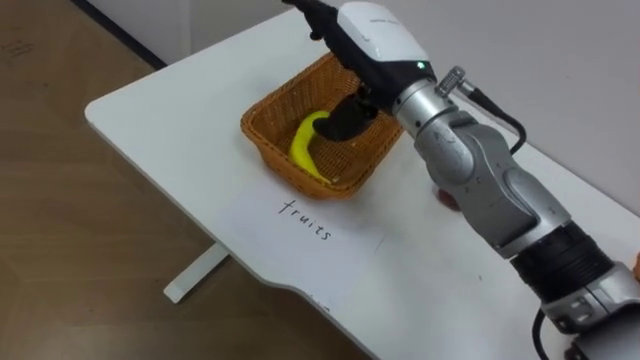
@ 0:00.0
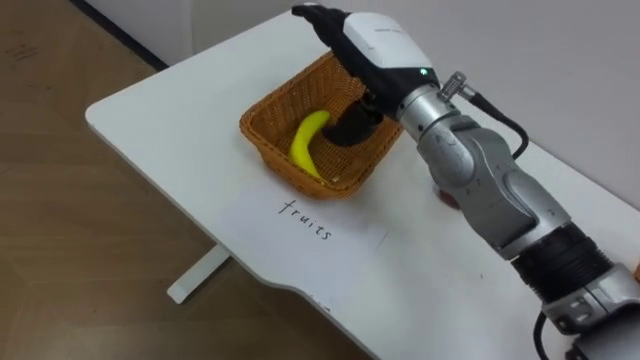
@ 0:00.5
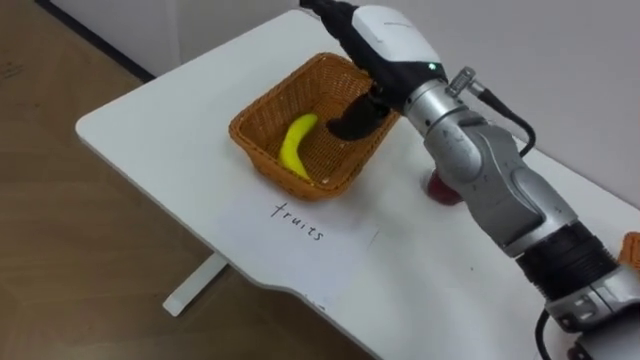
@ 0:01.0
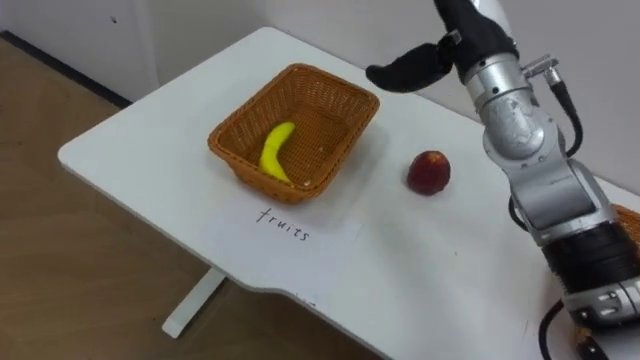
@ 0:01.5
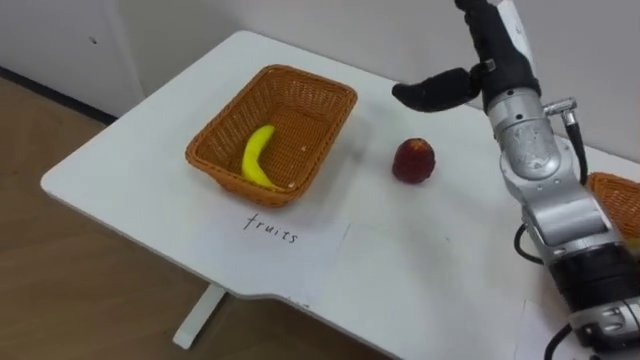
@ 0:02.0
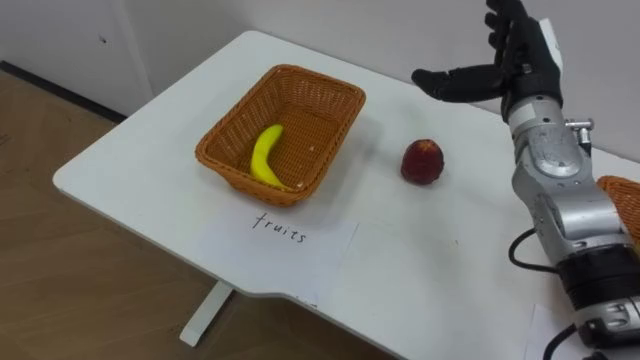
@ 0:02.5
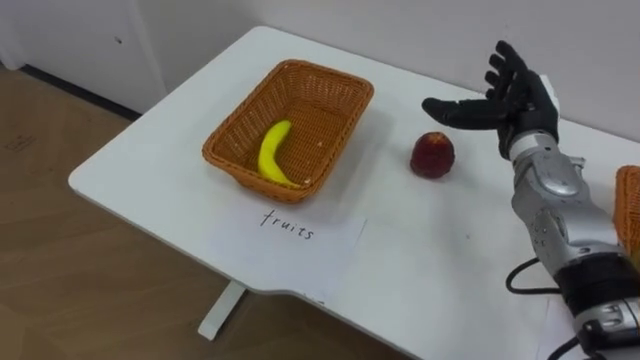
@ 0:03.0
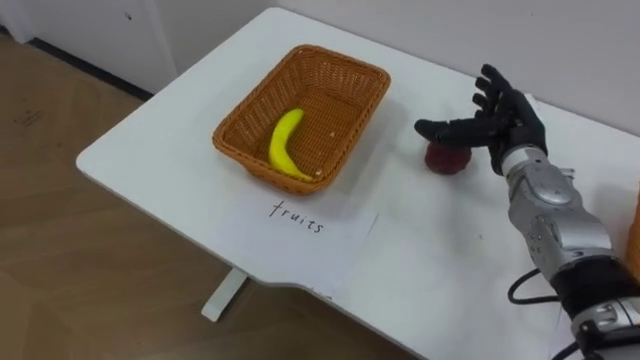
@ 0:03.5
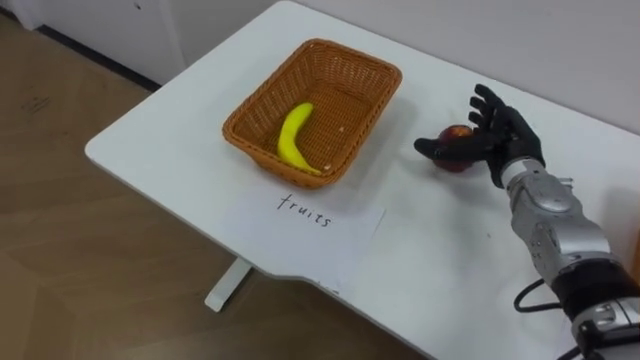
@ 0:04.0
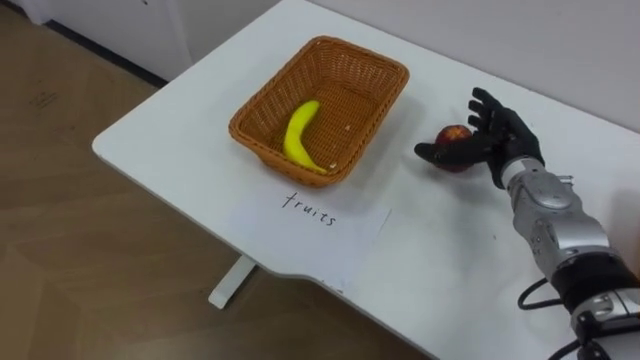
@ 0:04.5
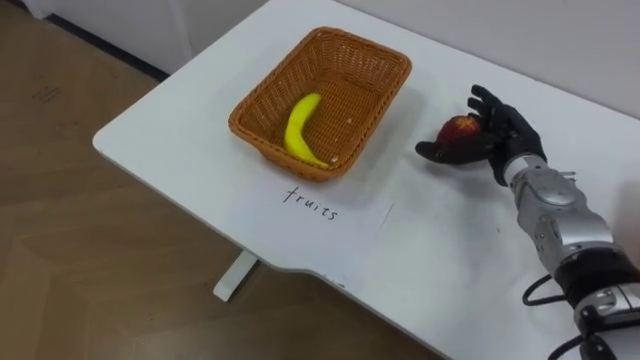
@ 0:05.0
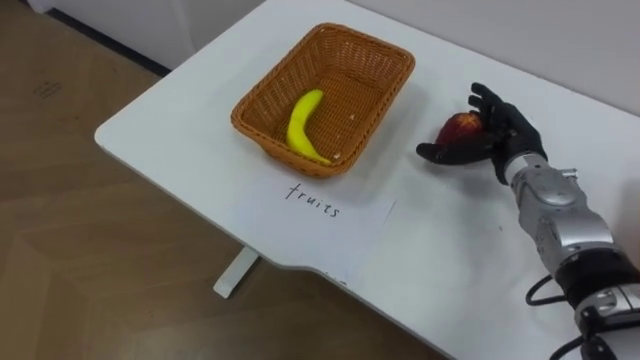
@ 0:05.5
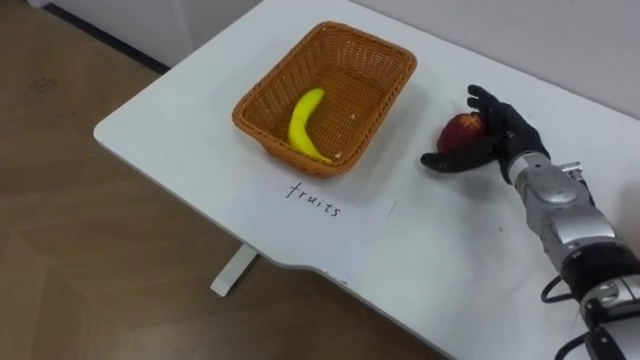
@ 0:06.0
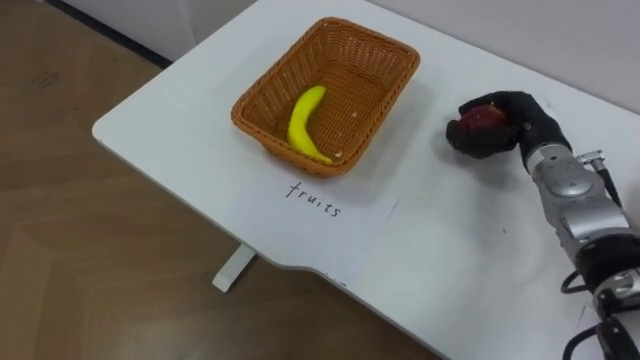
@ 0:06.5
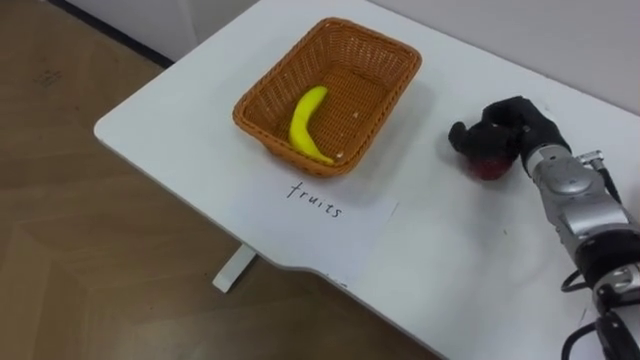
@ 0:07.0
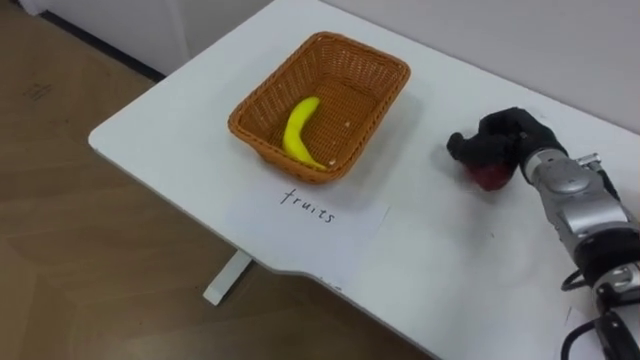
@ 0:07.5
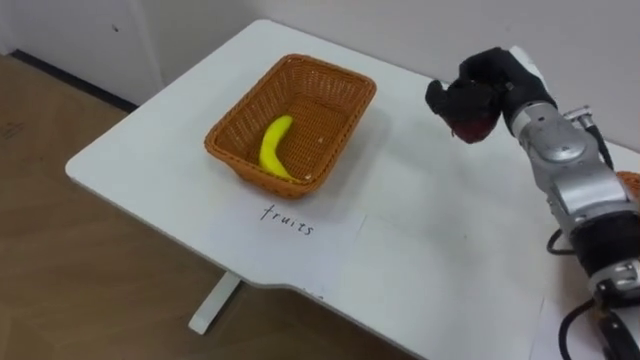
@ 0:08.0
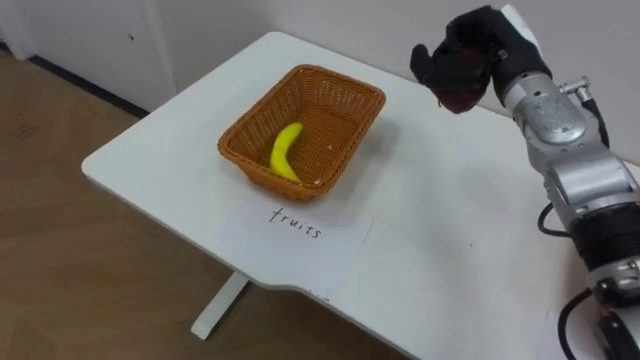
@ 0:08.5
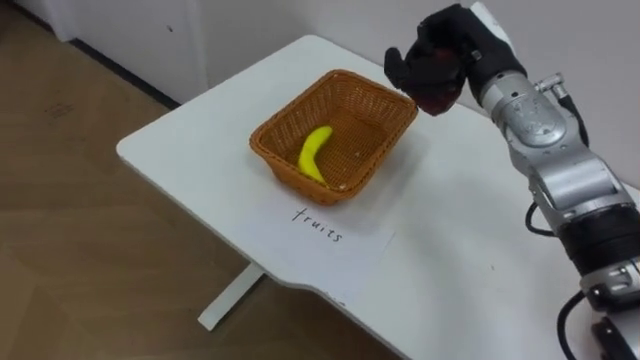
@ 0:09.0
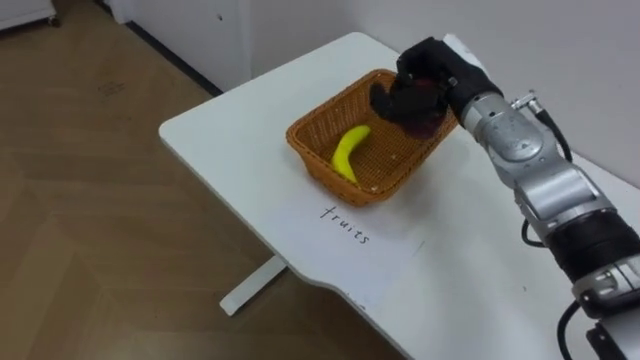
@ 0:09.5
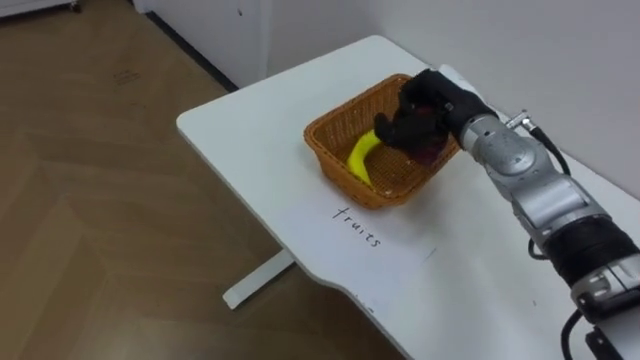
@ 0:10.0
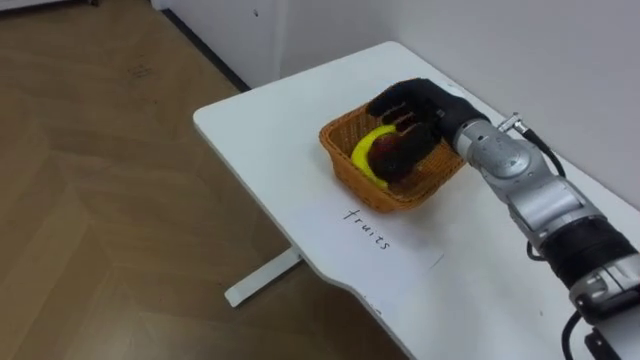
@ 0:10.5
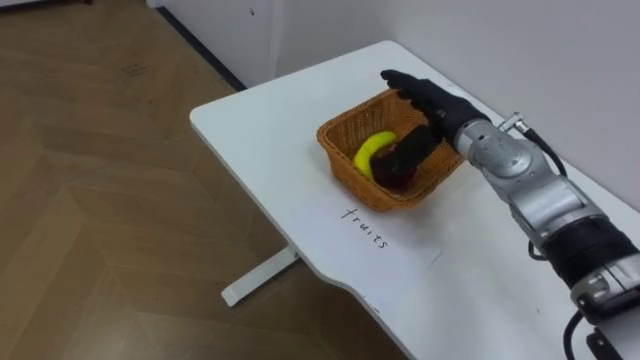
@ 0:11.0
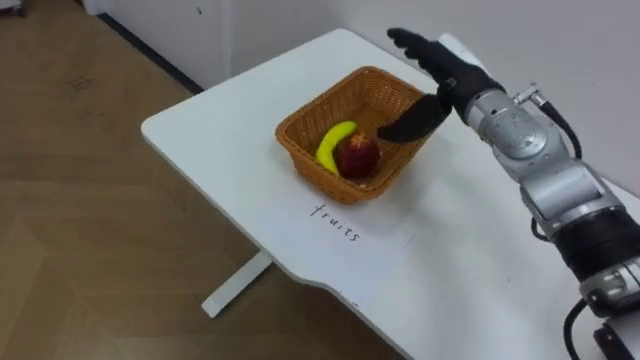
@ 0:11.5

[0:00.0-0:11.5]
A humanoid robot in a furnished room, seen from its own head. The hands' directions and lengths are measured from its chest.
Task of the whole recording: Separate the items on the table and place them into the two baskets.
0:00.0 to 0:02.0: The right hand travels to the right by approximately 15 cm.
0:02.0 to 0:04.0: The right hand is displaced downward and to the right by roughly 15 cm.
0:06.0 to 0:07.5: The right hand closes up.
0:07.5 to 0:09.5: The right hand moves to the left and upward, some 15 cm.
0:09.5 to 0:11.5: The right hand opens its fingers.

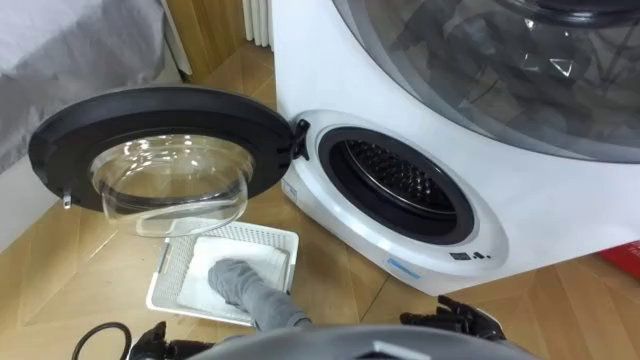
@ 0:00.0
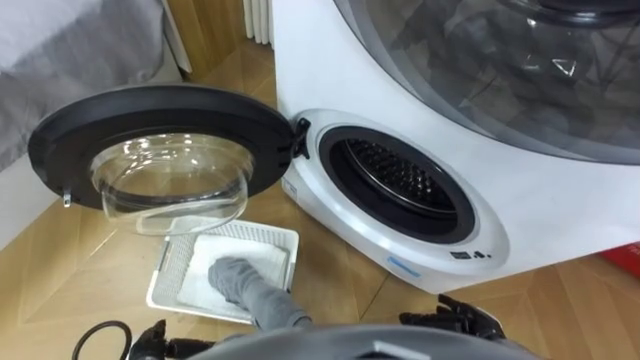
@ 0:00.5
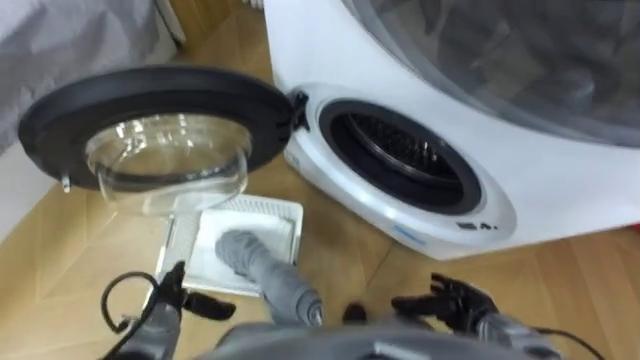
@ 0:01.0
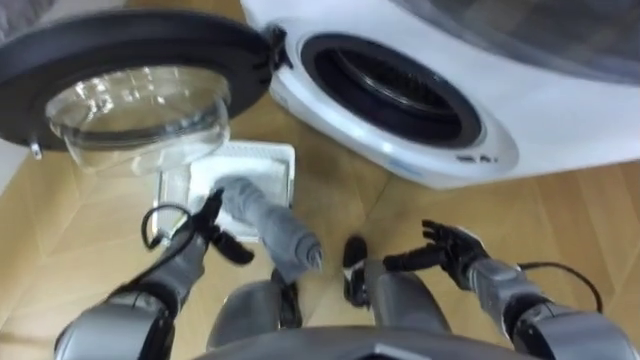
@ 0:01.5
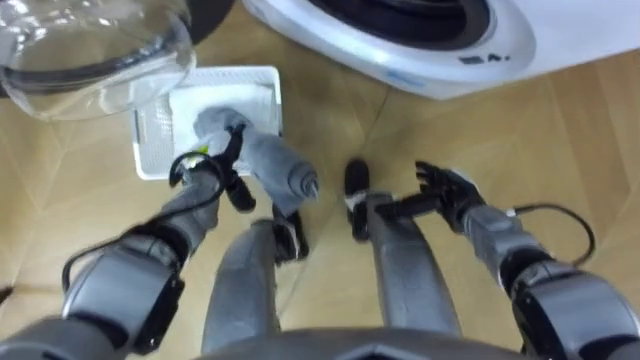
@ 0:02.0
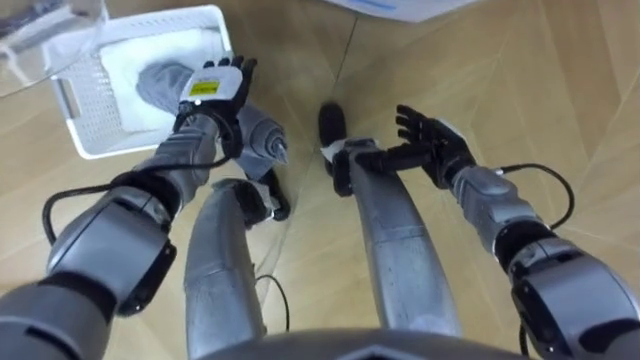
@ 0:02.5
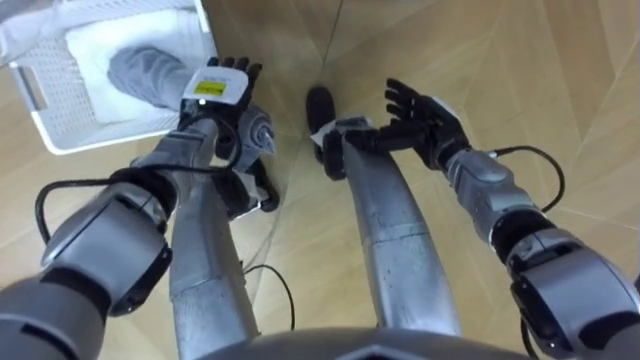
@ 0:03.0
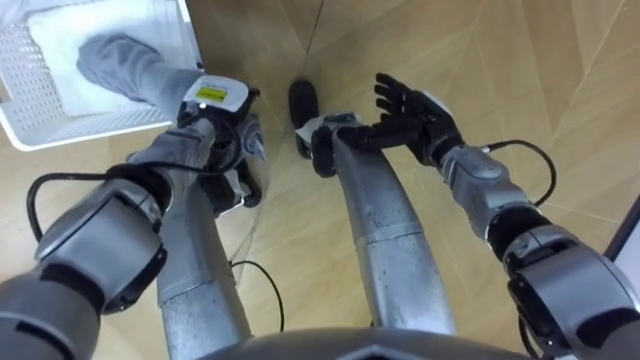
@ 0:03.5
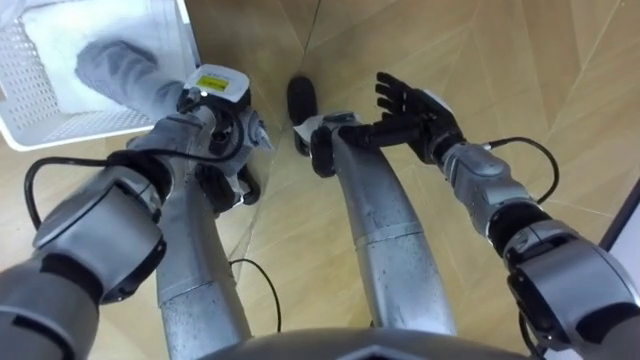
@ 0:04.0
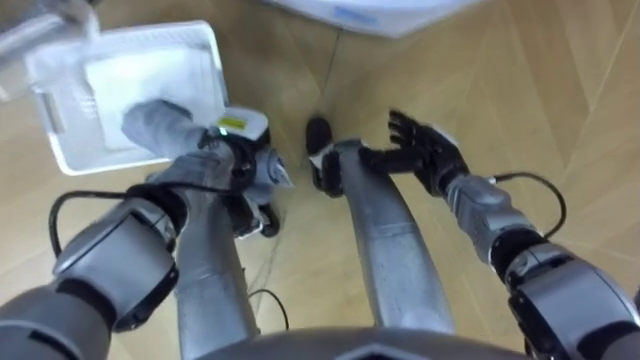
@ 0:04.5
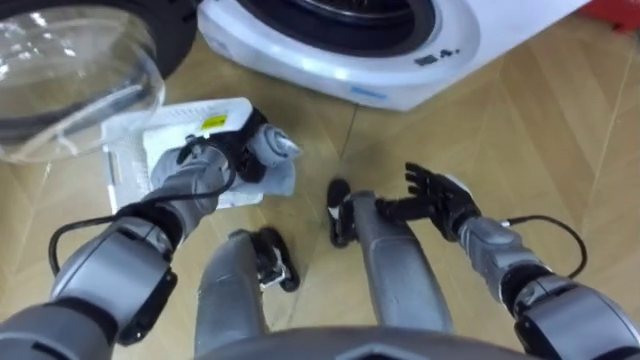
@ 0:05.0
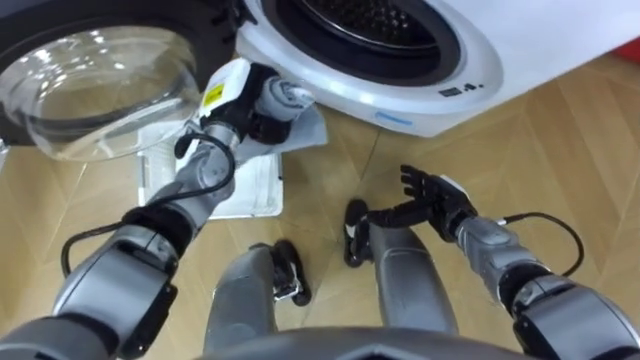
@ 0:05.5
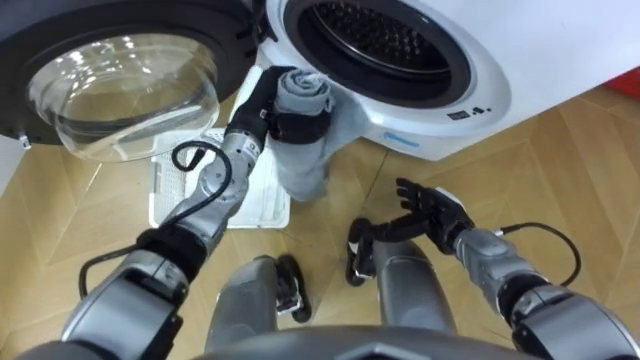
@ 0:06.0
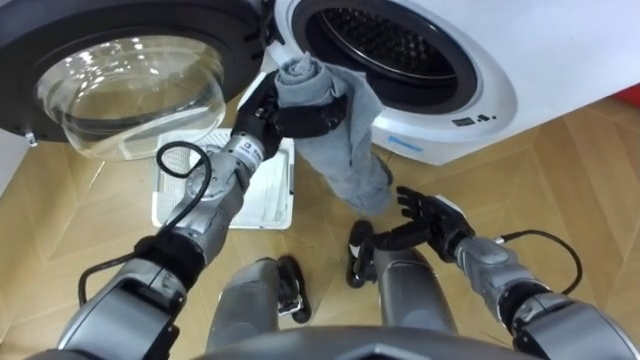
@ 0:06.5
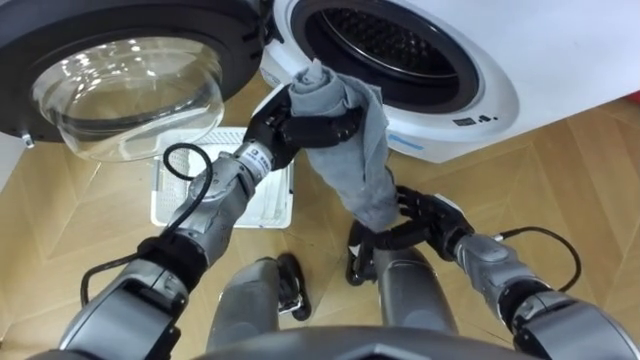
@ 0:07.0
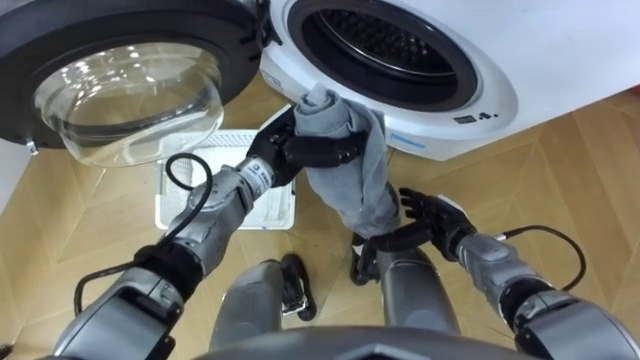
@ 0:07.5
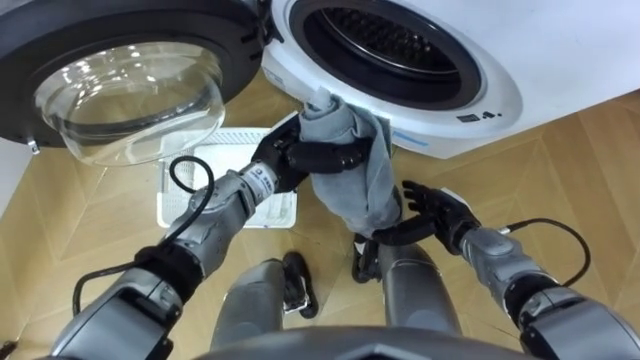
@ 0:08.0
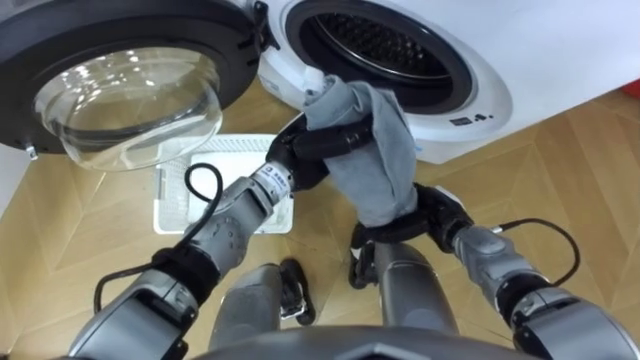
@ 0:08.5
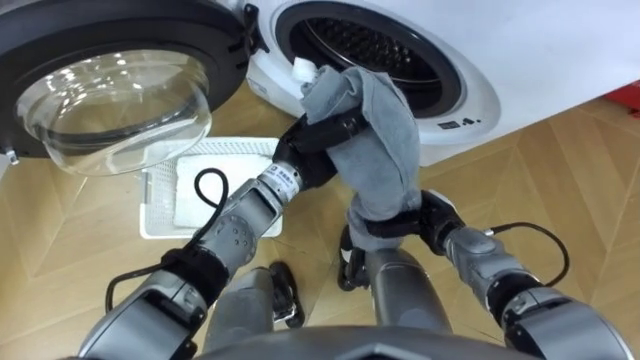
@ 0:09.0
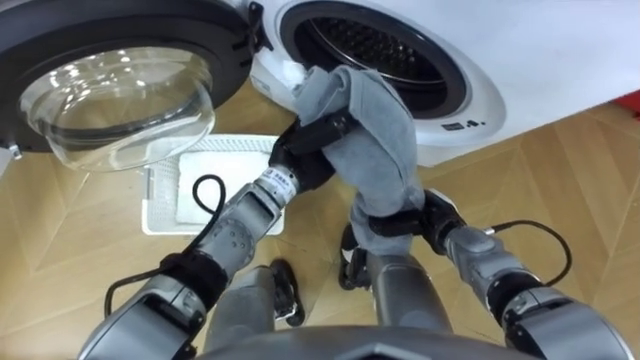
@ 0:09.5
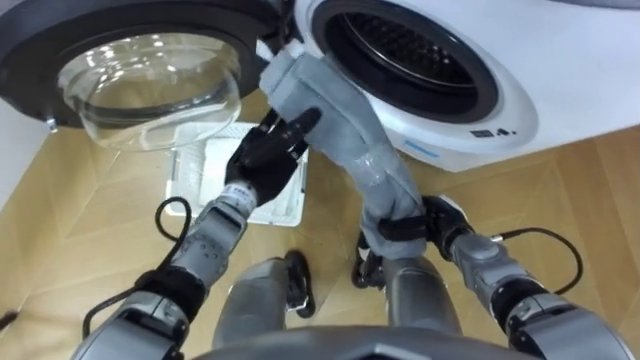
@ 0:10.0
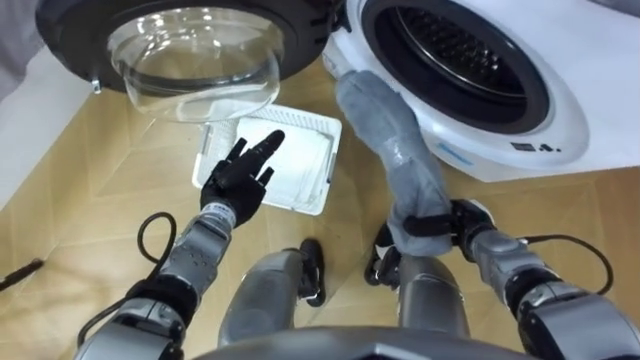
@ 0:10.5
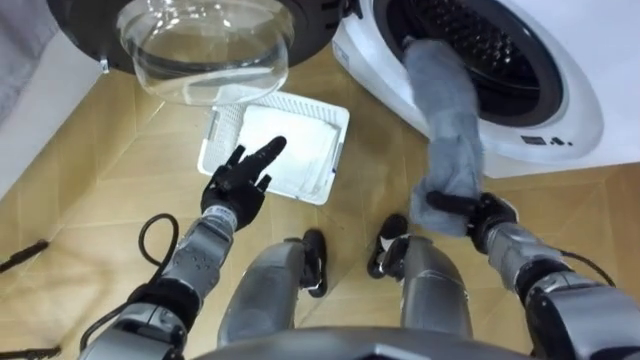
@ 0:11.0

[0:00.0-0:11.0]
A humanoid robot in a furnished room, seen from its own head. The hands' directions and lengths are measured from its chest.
Task of the whole recording: Take the towel from the basket and put it into the washing machine.
0:02.0 to 0:03.5: The right hand moves upward, forward and to the left, about 15 cm. Meanwhile the left hand moves forward and upward, roughly 10 cm.
0:03.5 to 0:05.5: The left hand closes; the right hand goes roughly 10 cm backward and downward.
0:05.5 to 0:07.5: The left hand goes roughly 10 cm to the right and backward.
0:07.5 to 0:09.0: The right hand closes.
0:09.0 to 0:11.0: The right hand shifts roughly 10 cm to the right; the left hand moves to the left and downward, roughly 15 cm, and opens its fingers.
